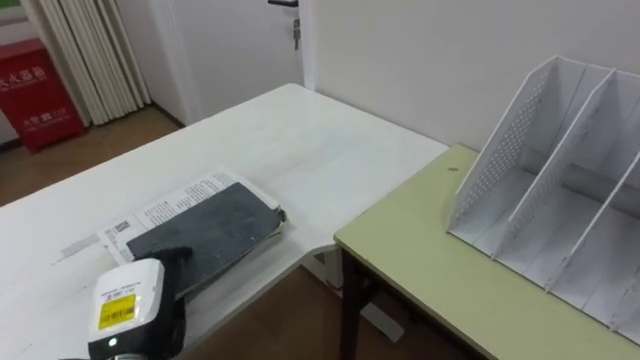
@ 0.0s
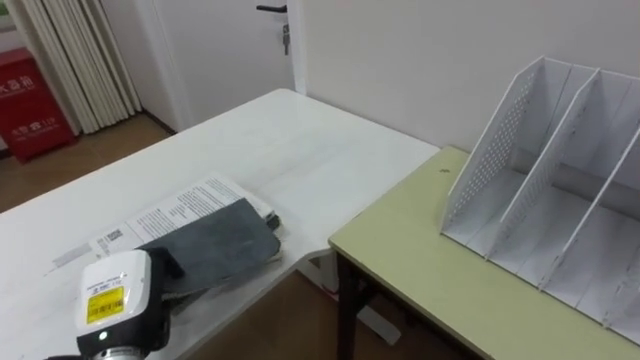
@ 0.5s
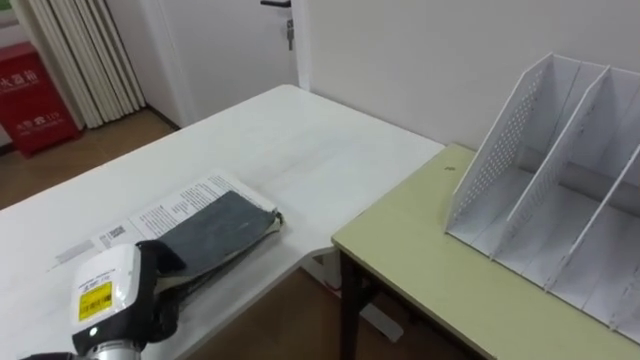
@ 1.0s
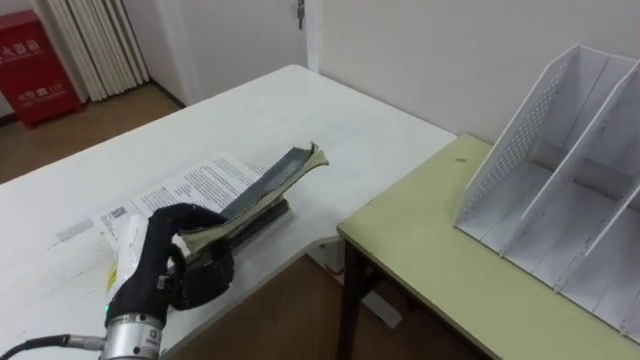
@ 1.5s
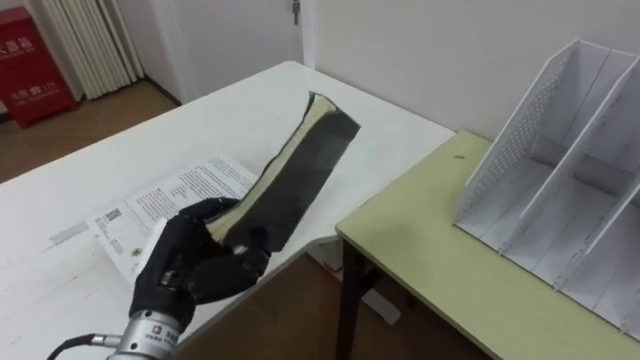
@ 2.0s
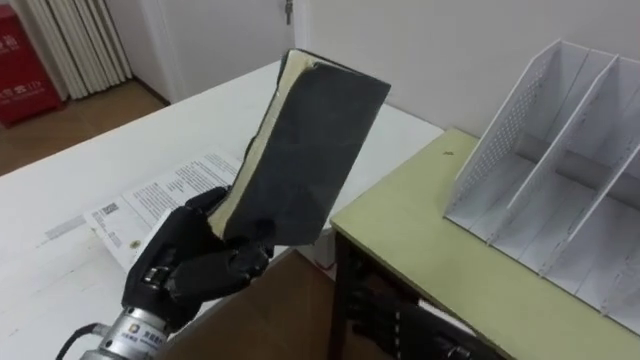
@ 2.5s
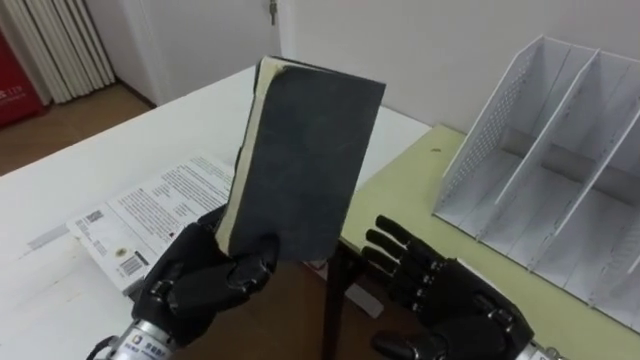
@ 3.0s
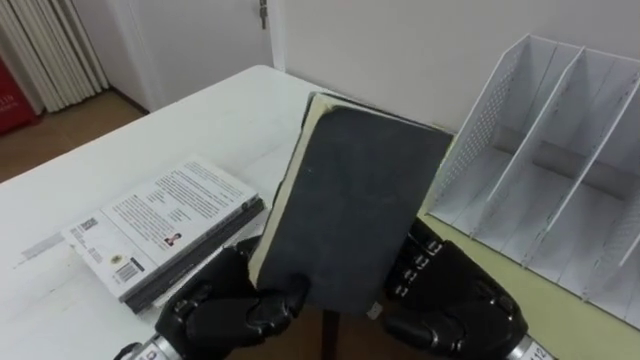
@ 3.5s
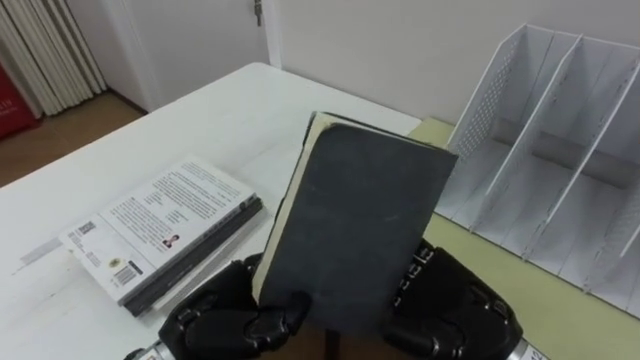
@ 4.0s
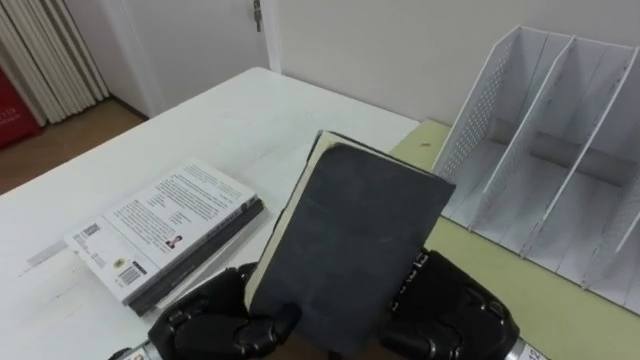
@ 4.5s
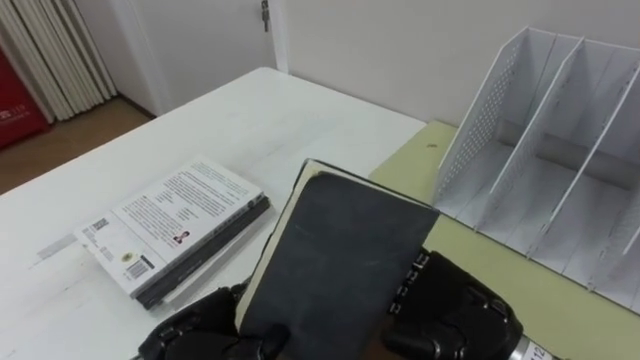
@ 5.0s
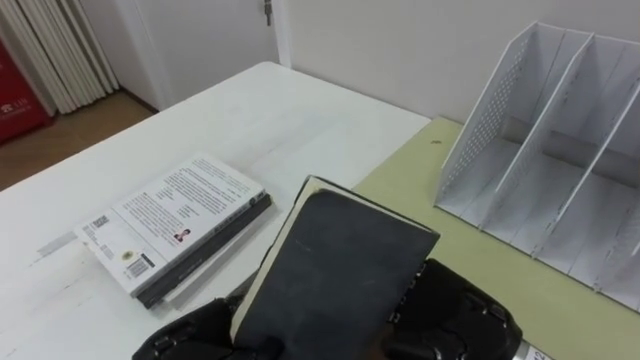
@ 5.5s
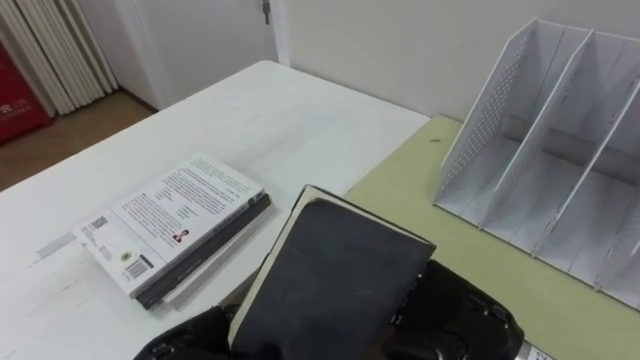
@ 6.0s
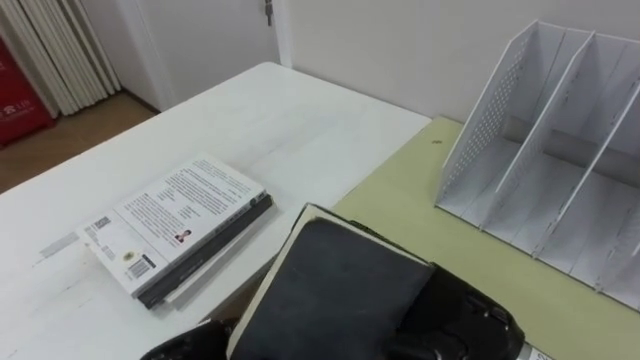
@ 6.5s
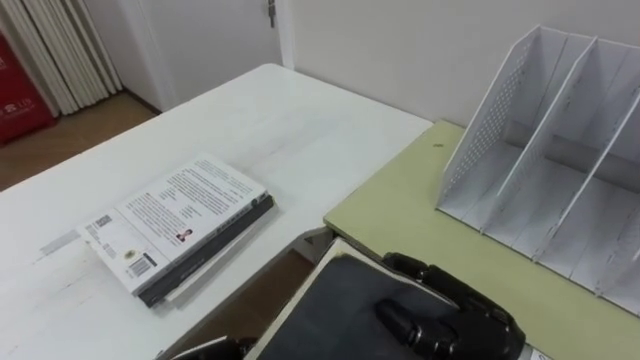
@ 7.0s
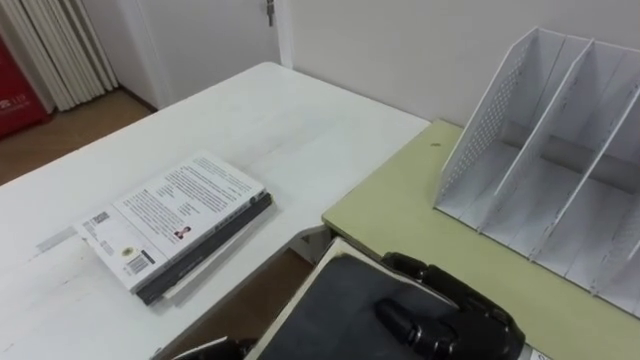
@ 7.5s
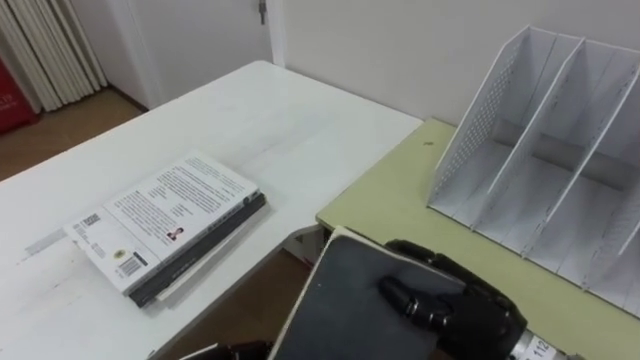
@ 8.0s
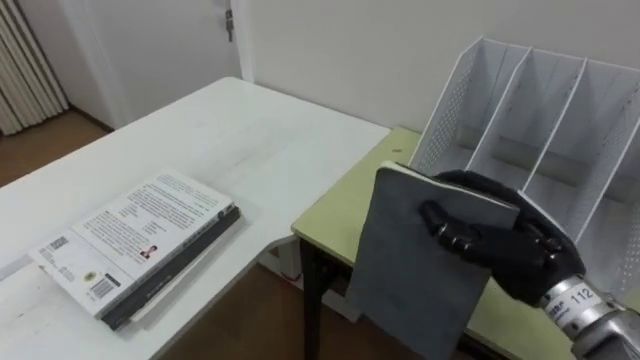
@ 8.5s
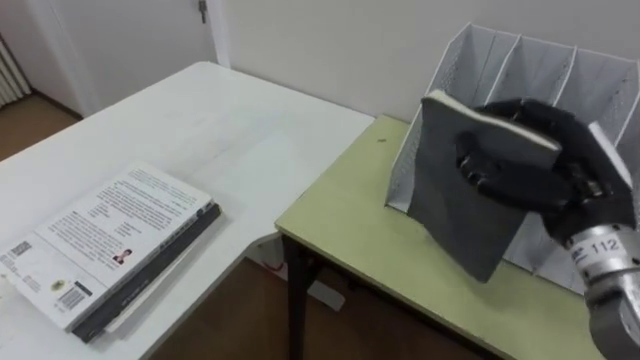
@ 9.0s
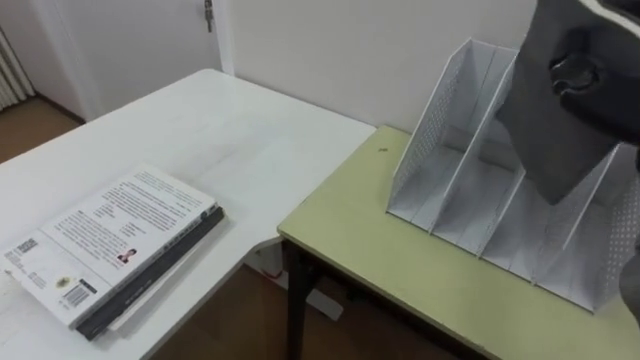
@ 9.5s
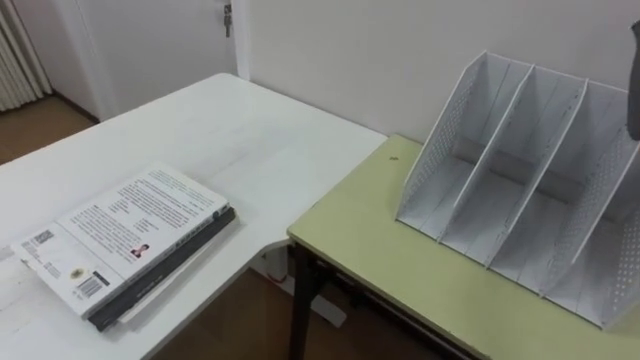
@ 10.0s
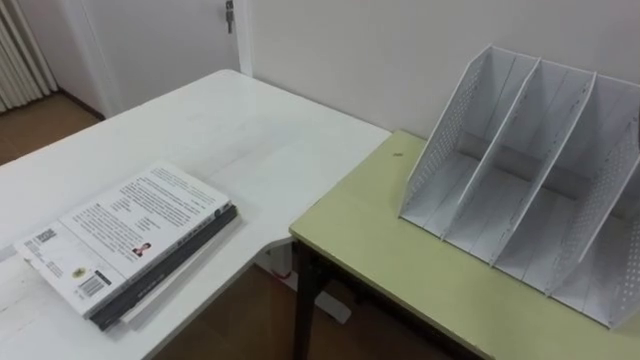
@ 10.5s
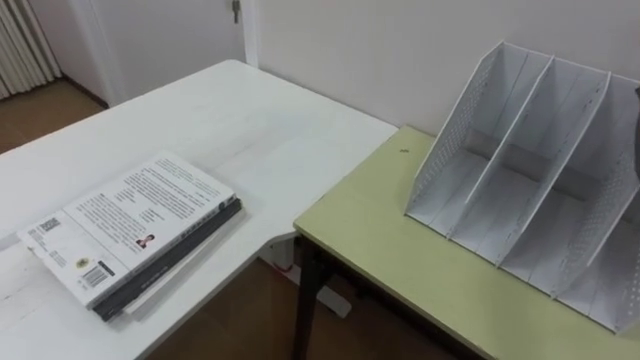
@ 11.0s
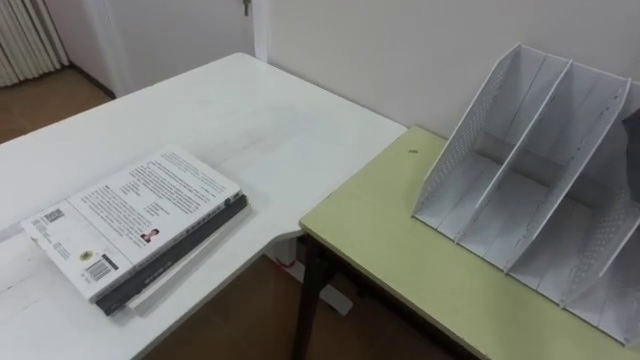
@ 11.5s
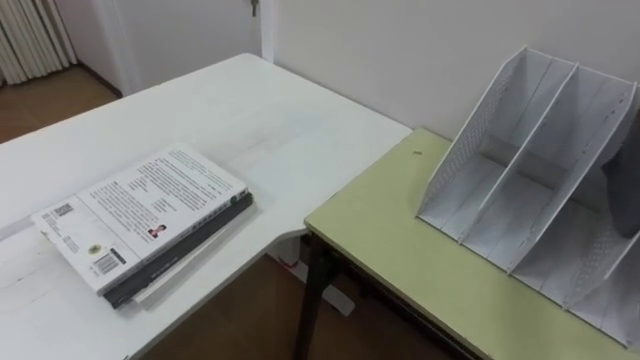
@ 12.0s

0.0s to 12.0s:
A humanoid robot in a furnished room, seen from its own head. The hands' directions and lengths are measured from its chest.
Task of the whole recording: Put the books on the table onto the bookshelf.
0.0s to 2.0s: The left hand goes some 5 cm upward, and closes.
2.0s to 4.0s: The left hand moves to the right, approximately 5 cm.
4.0s to 6.0s: The left hand travels downward by some 5 cm.
6.0s to 8.0s: The right hand closes.

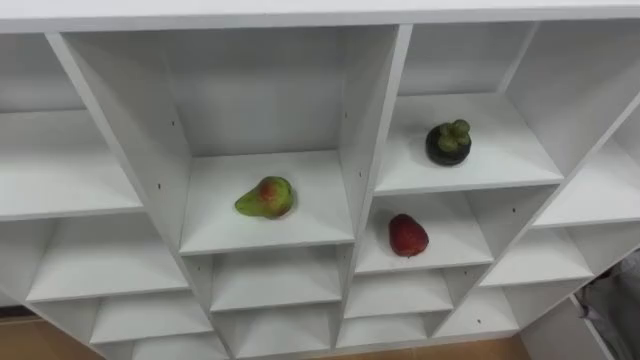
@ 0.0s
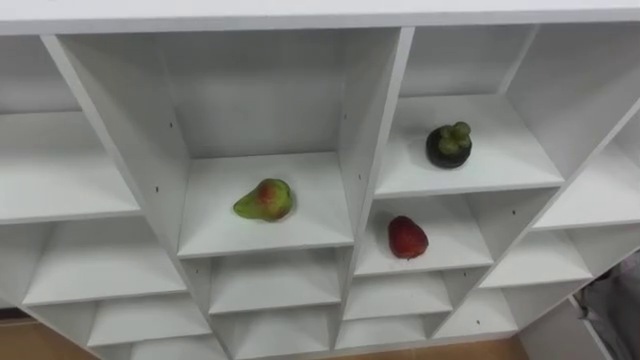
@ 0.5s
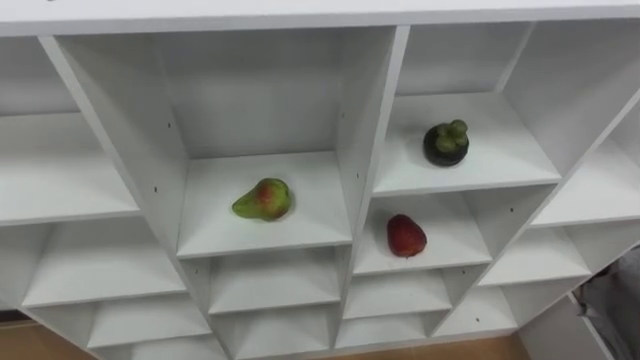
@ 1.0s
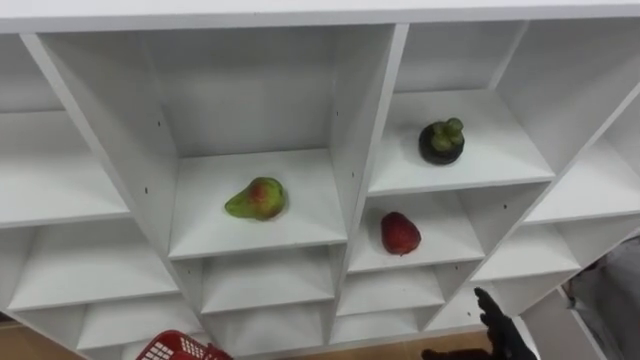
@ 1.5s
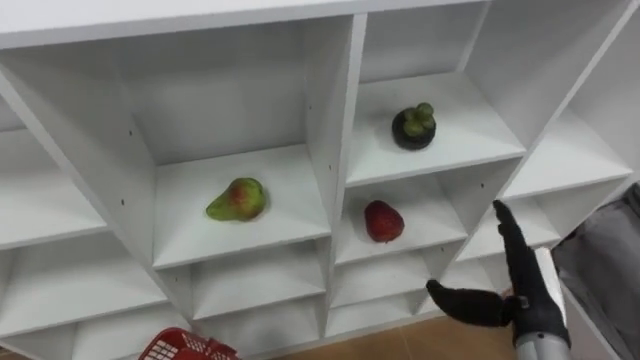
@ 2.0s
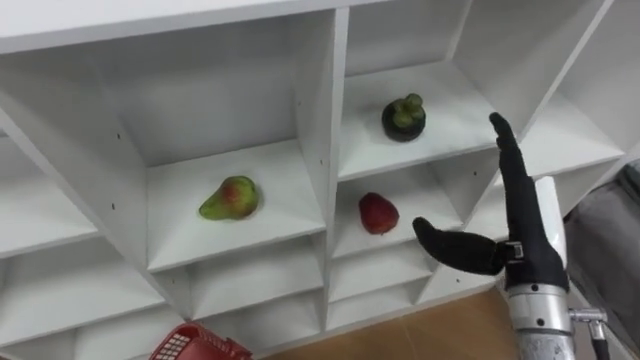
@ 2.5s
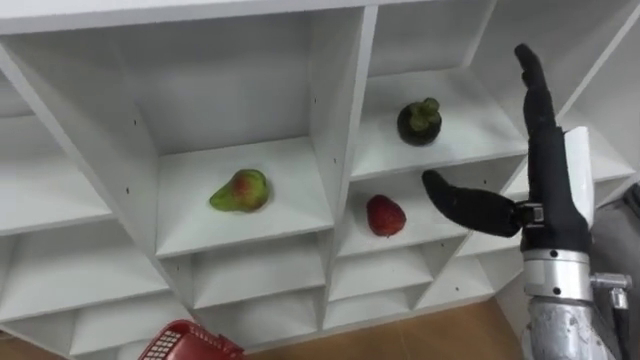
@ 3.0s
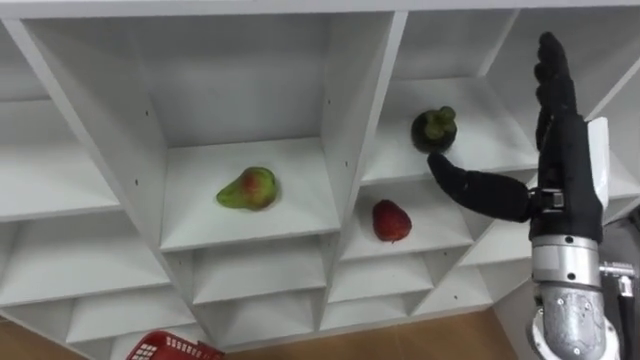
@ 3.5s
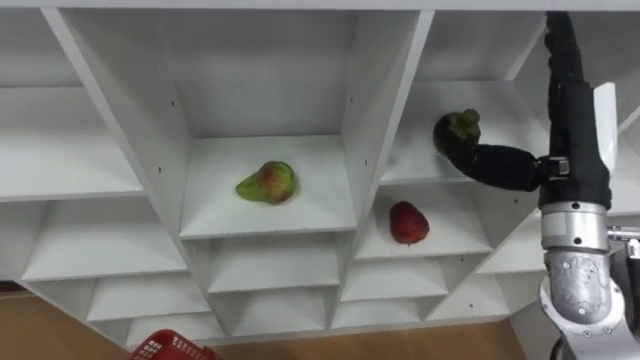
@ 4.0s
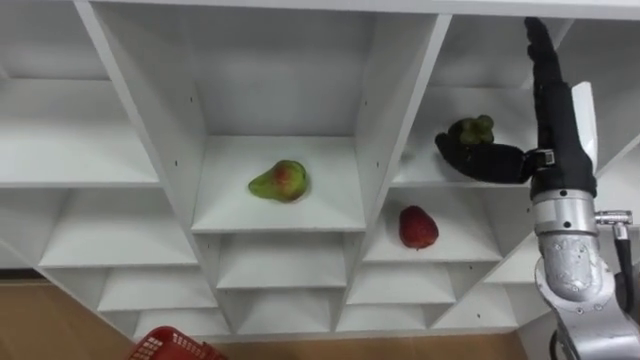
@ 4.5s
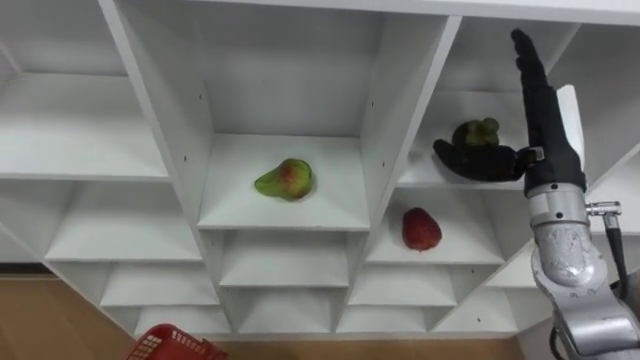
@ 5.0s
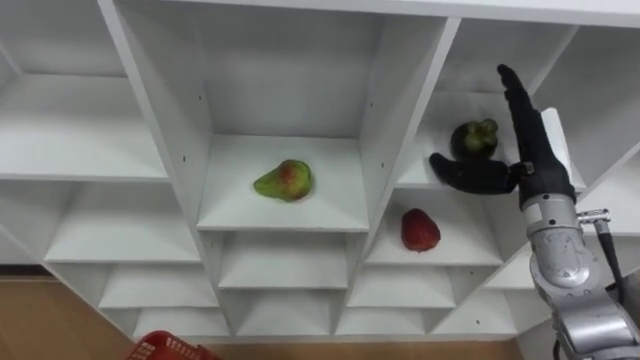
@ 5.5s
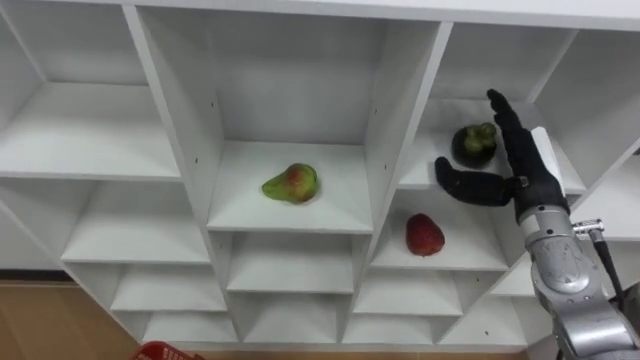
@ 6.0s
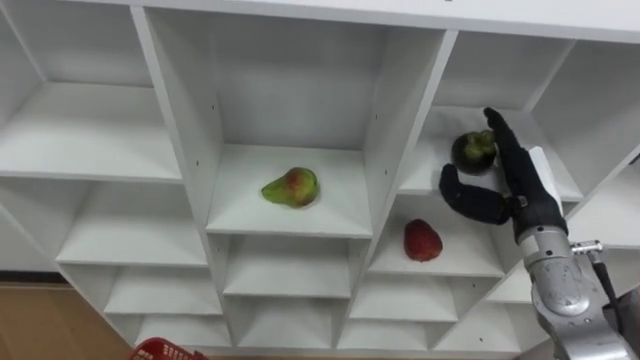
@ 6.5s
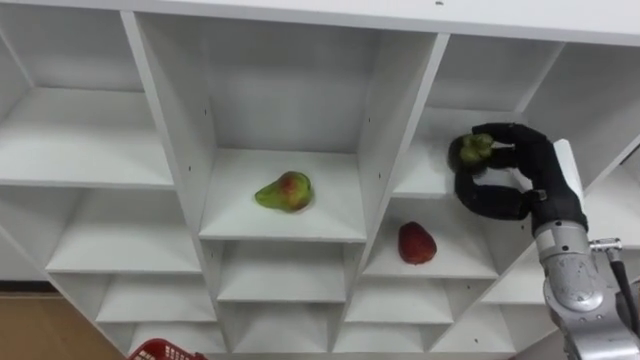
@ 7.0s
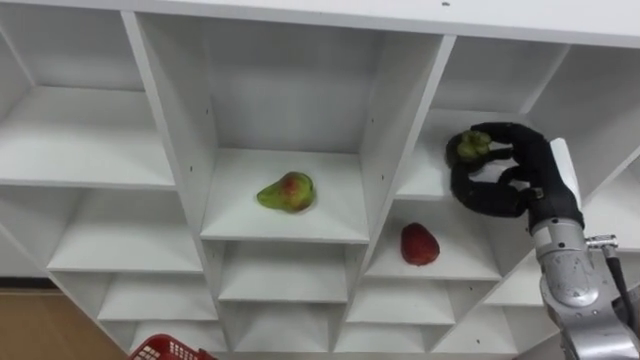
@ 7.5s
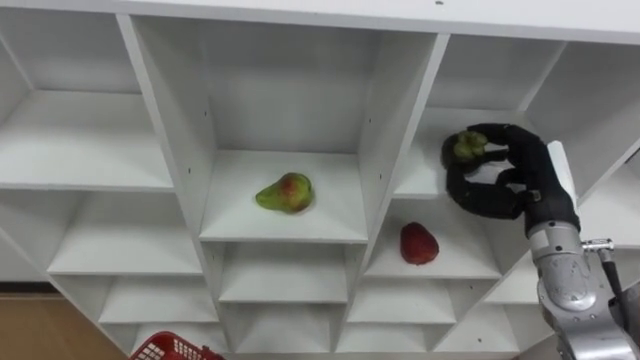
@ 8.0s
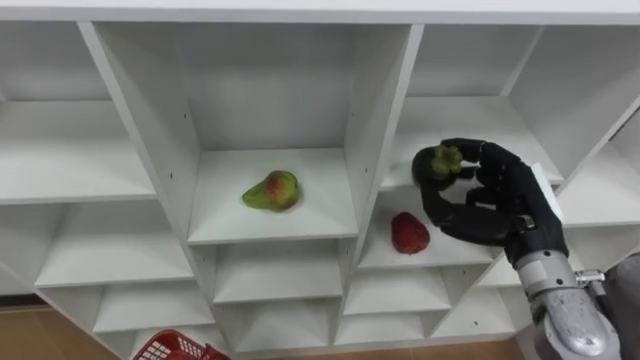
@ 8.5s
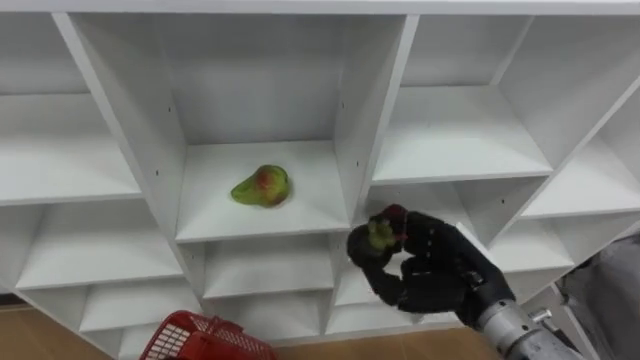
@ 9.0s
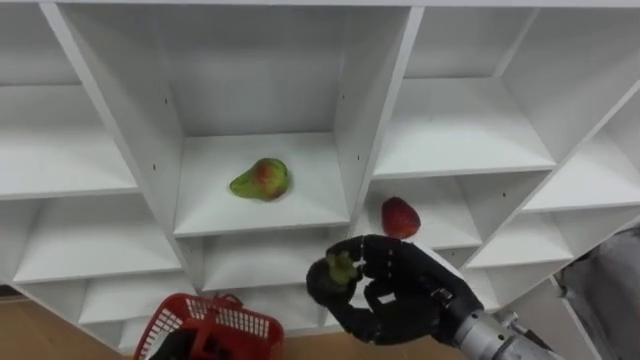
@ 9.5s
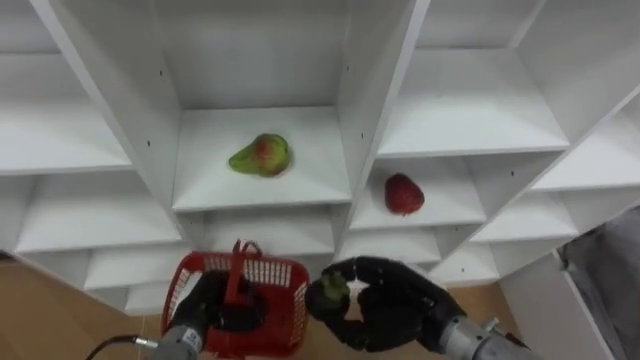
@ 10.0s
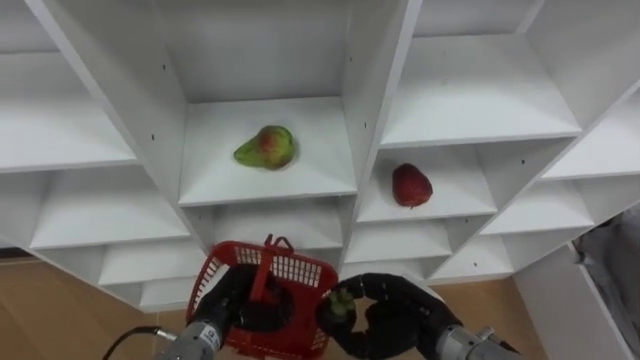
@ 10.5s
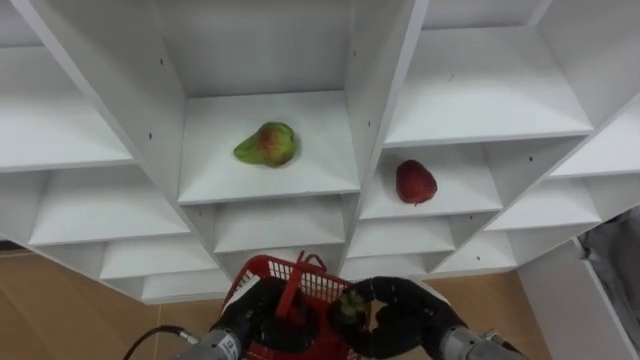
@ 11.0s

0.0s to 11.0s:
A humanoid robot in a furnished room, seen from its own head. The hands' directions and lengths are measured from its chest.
Task of the whole recording: Hold the basket and collect the fruits from 3 different cells of the closet into it.
2.0s to 3.5s: The right hand travels upward by roughly 15 cm.
3.5s to 5.5s: The right hand is displaced forward and downward by about 10 cm.
5.5s to 7.5s: The right hand moves some 5 cm, and closes its fingers.
7.5s to 9.0s: The right hand is displaced to the left and backward by about 10 cm.
9.0s to 11.0s: The right hand is displaced downward by approximately 10 cm.
